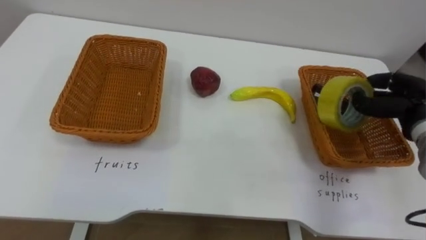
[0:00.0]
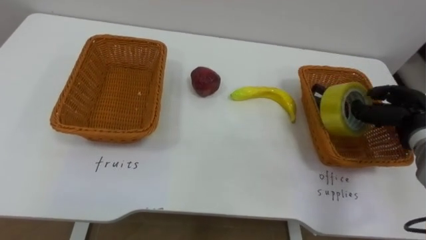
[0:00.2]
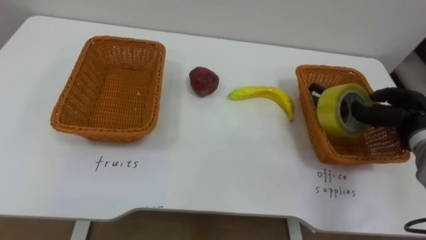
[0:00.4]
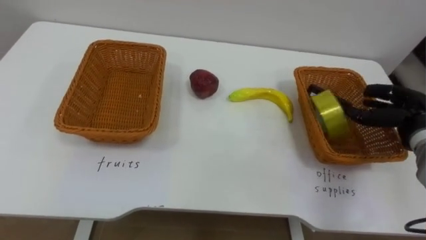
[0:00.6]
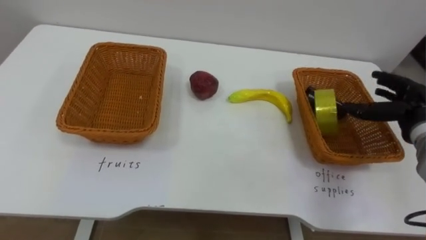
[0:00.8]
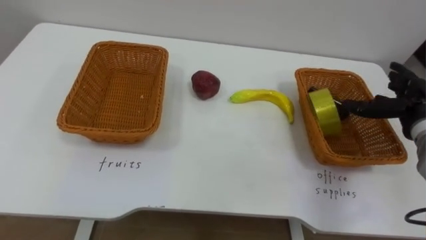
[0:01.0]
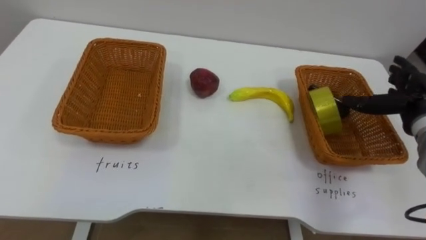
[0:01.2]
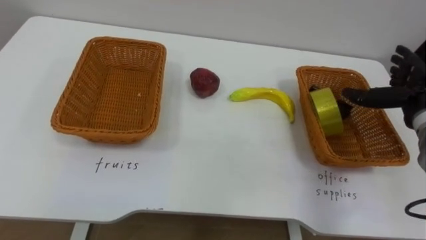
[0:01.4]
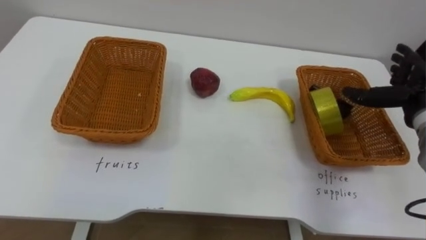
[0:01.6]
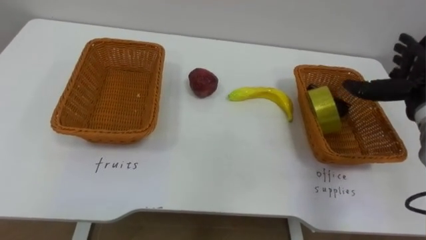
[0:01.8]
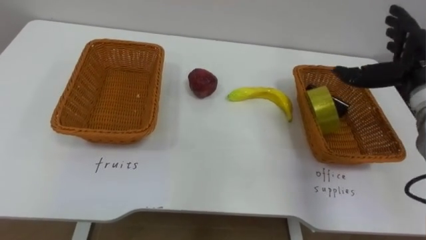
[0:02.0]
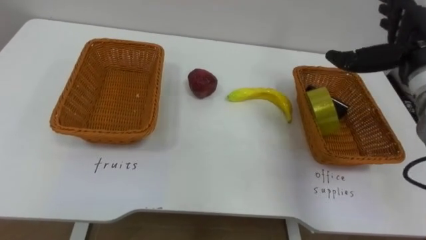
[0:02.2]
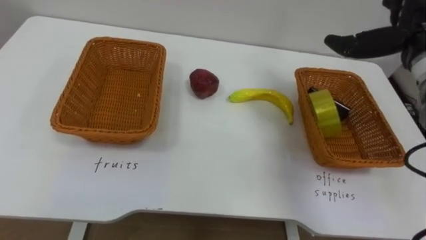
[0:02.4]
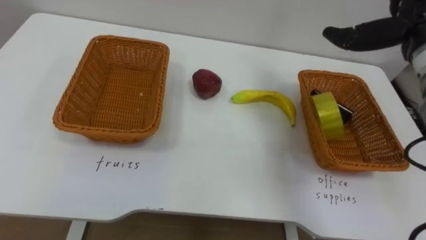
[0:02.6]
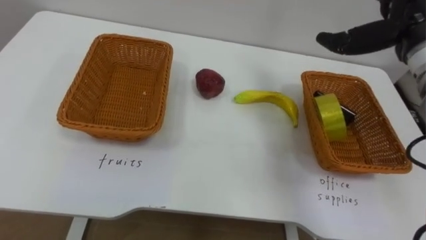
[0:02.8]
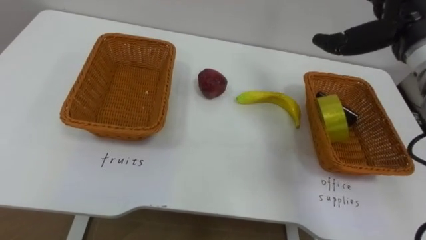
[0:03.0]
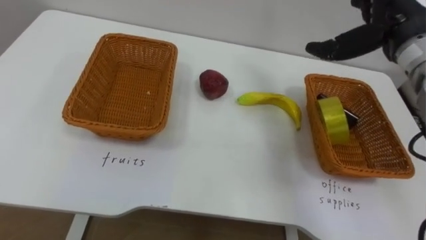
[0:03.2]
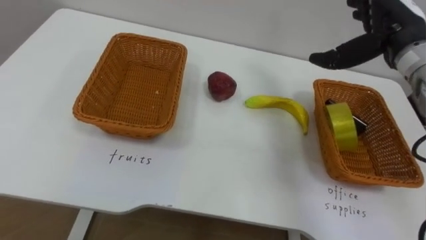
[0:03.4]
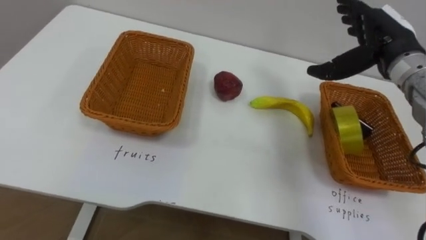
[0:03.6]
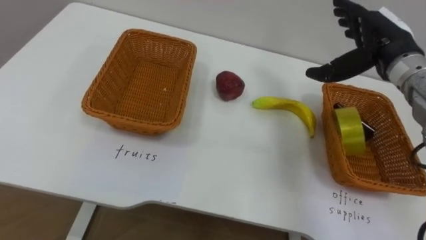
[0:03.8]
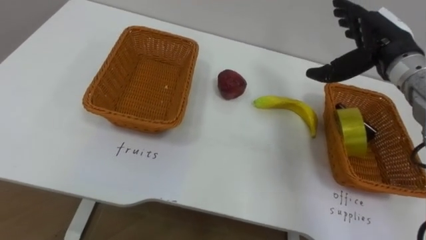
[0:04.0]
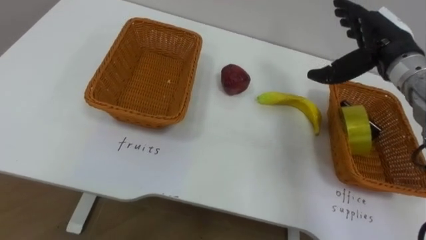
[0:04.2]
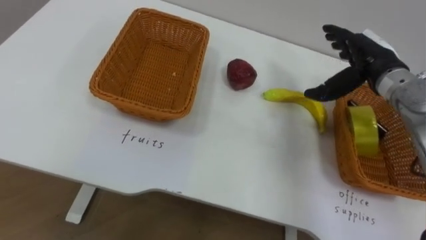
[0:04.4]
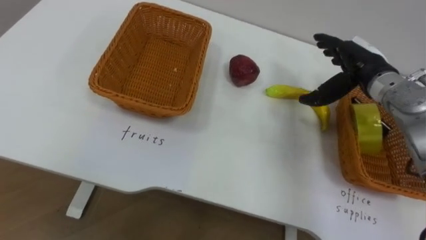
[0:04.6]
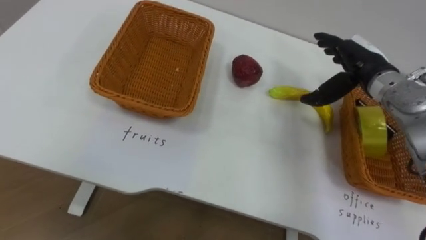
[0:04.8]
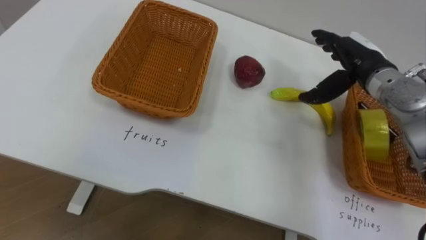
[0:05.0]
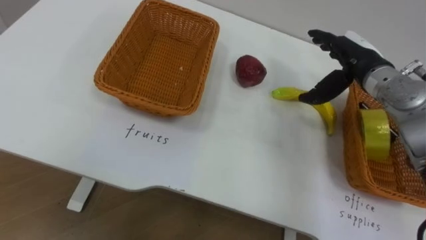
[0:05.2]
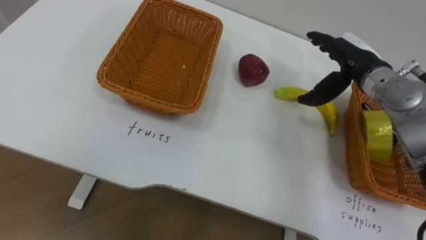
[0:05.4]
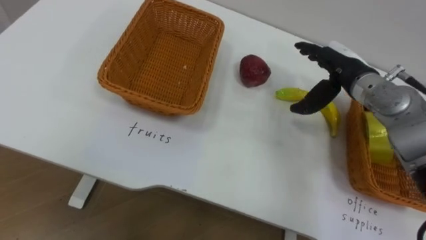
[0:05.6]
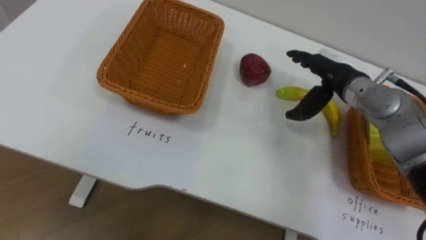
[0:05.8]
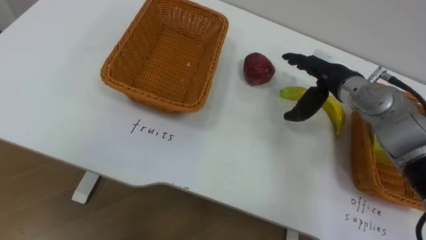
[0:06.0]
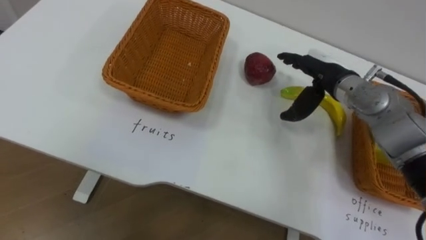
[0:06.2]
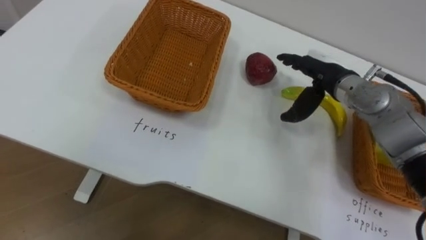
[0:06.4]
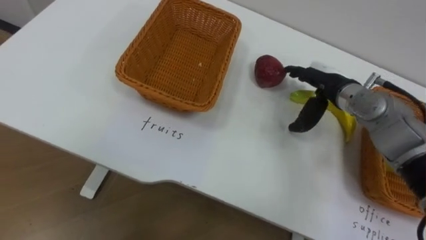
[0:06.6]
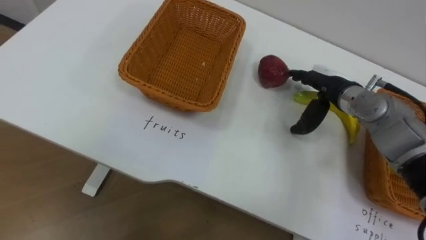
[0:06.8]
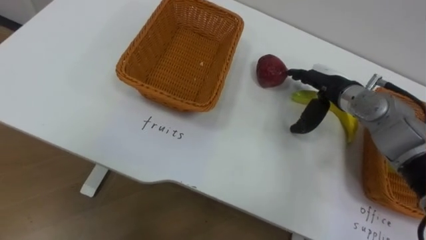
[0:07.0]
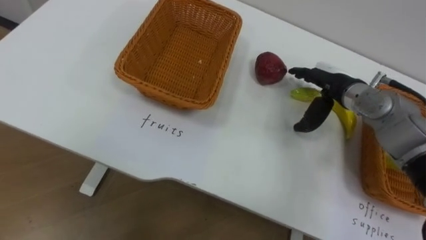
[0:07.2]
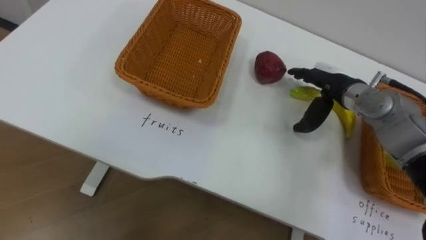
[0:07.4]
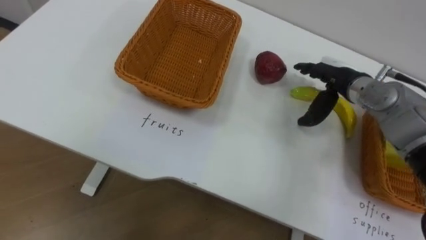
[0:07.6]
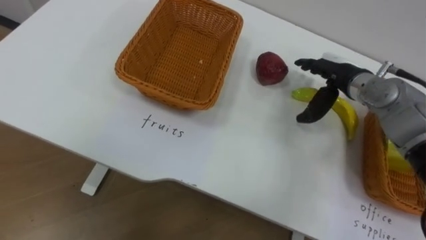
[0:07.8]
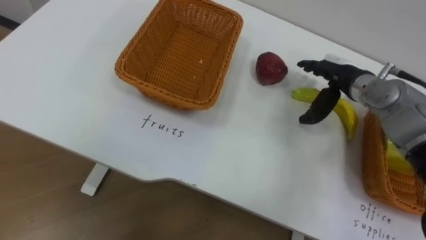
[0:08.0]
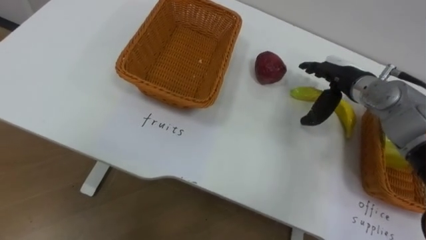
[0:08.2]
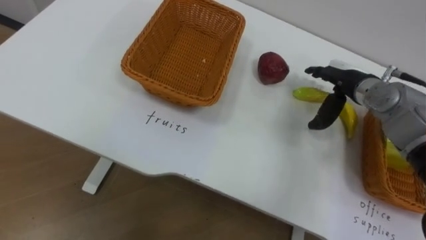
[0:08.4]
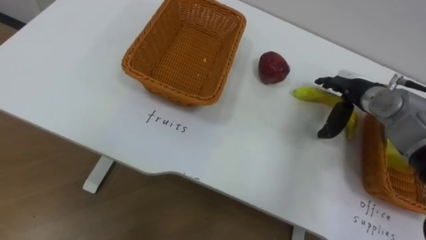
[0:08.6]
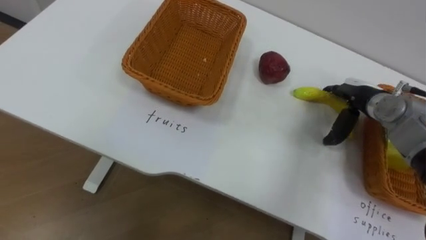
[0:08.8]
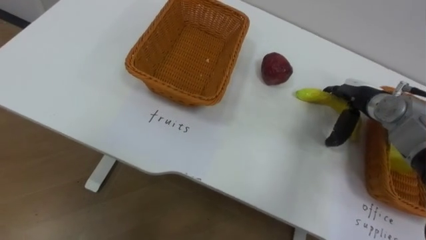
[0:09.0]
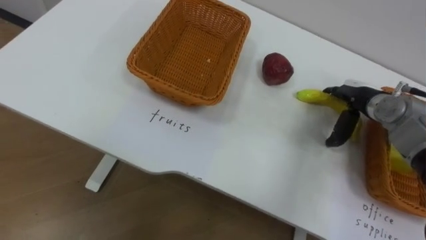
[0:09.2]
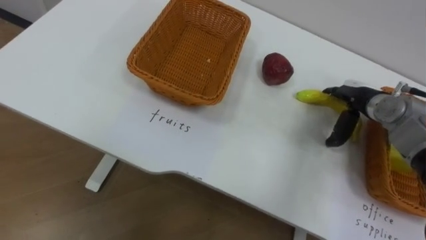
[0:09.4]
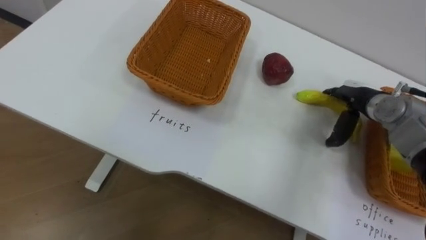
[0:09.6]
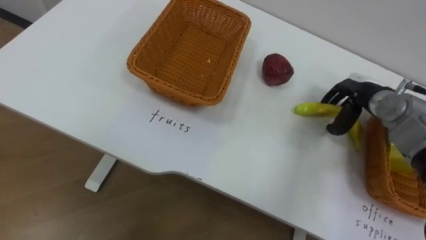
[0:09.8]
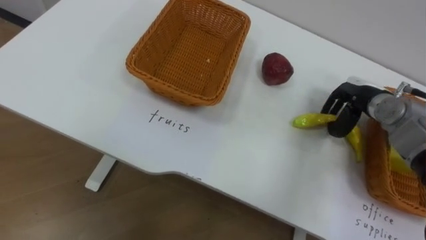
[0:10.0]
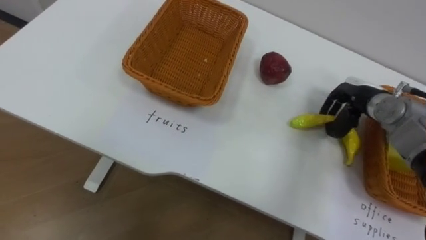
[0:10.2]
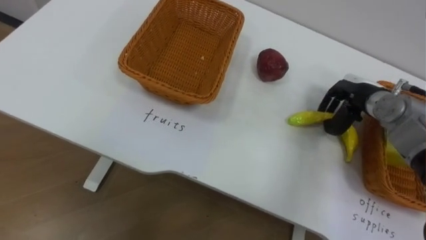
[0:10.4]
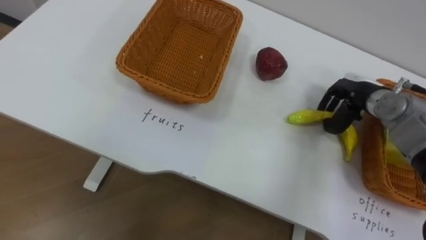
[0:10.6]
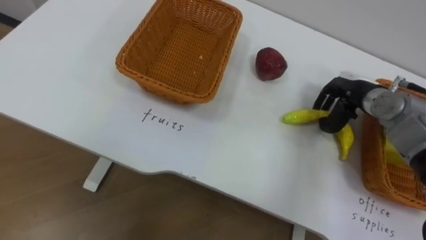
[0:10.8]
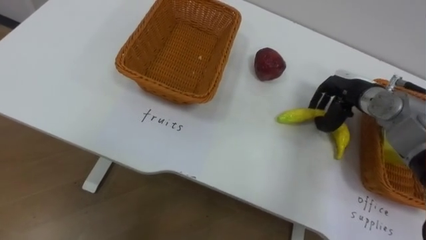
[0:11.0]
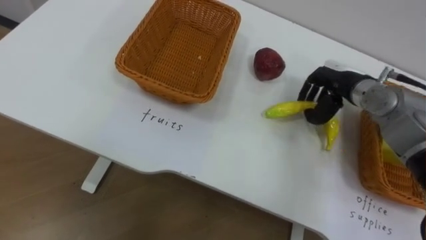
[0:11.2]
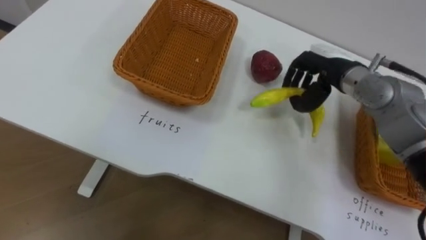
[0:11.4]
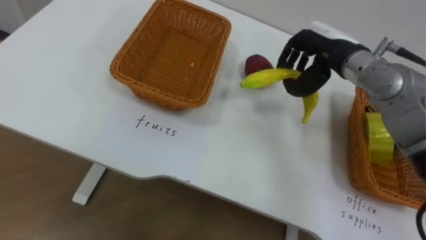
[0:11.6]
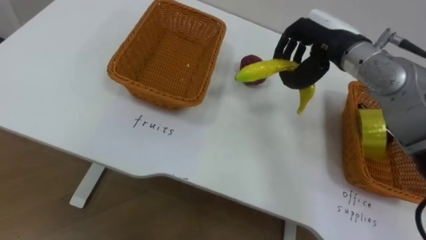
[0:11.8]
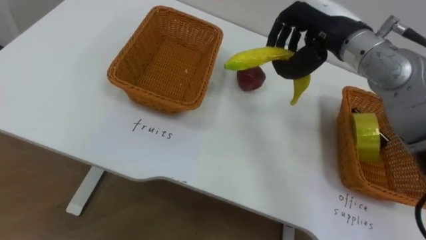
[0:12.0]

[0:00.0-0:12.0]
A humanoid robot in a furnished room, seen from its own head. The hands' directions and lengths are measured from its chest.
Task of the whole recording: Separate the items on the table and place them into the two baskets.
0:00.0 to 0:01.6: The right hand opens up.
0:01.6 to 0:03.0: The right hand moves upward and to the left, some 15 cm.
0:03.0 to 0:04.4: The right hand is displaced downward by roughly 10 cm.
0:04.4 to 0:06.0: The right hand travels to the left by approximately 5 cm.
0:07.6 to 0:09.0: The right hand shifts roughly 5 cm to the right.
0:09.0 to 0:10.4: The right hand closes its fingers.
0:10.4 to 0:12.0: The right hand moves upward and to the left, some 20 cm.

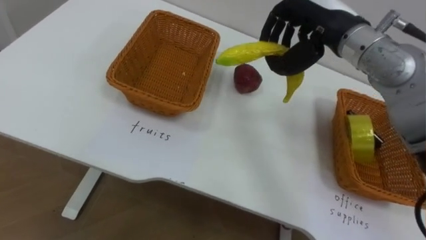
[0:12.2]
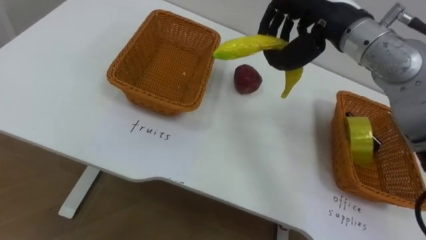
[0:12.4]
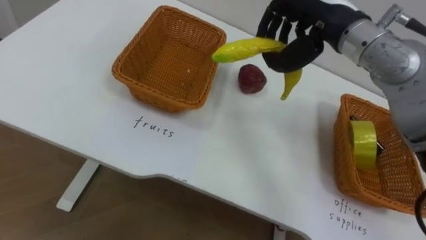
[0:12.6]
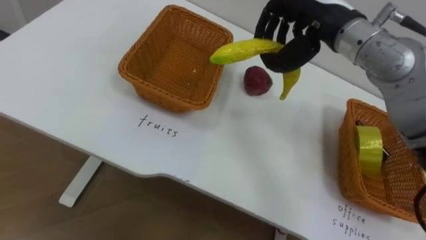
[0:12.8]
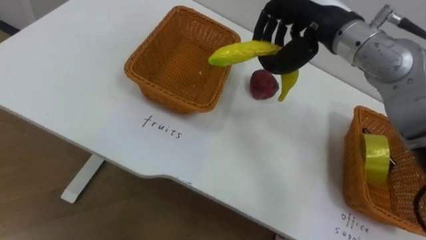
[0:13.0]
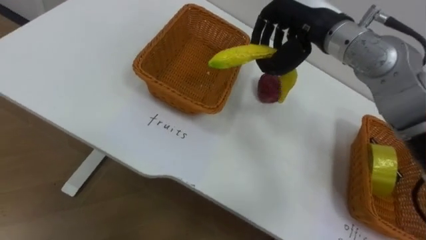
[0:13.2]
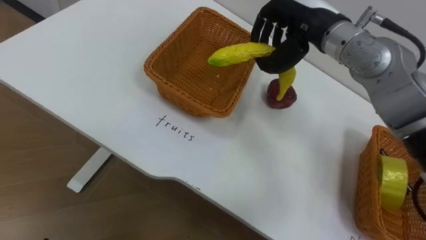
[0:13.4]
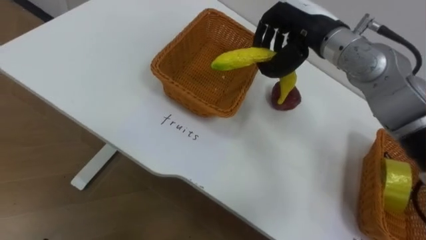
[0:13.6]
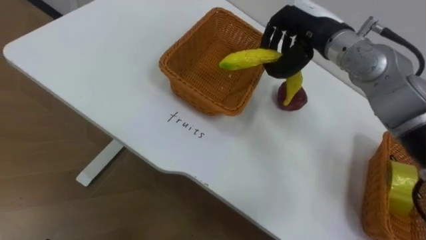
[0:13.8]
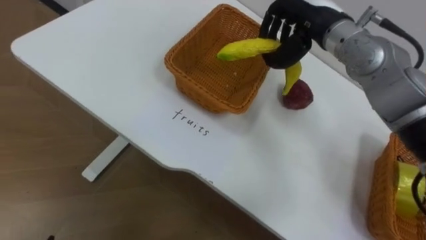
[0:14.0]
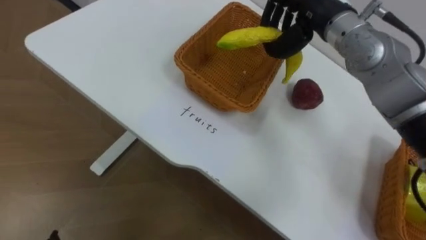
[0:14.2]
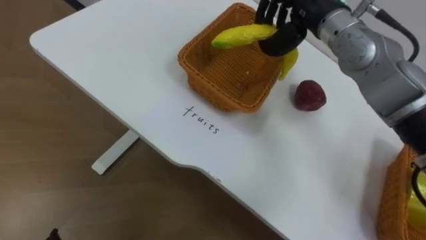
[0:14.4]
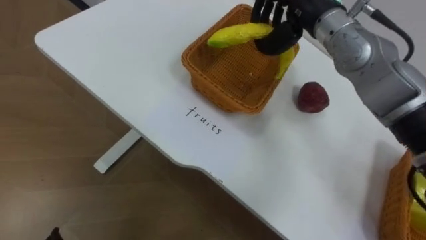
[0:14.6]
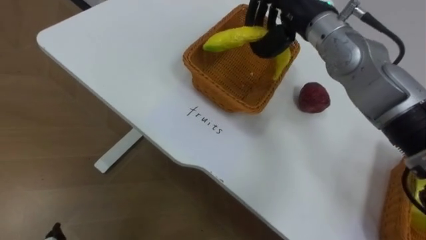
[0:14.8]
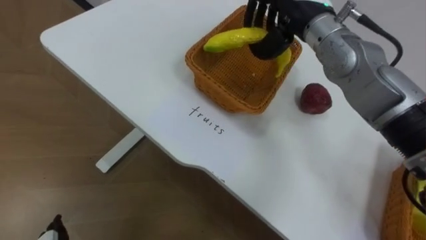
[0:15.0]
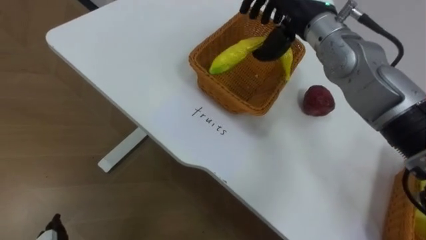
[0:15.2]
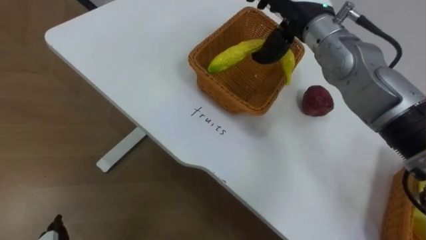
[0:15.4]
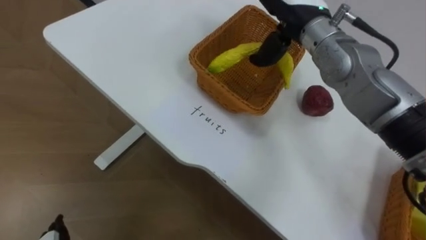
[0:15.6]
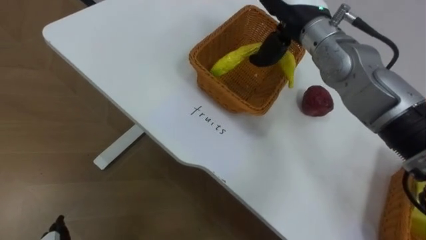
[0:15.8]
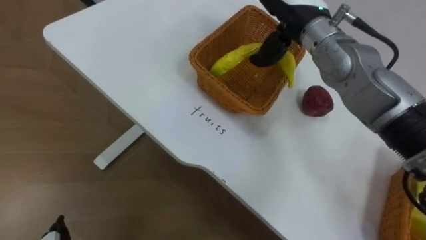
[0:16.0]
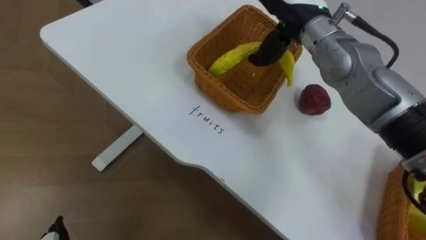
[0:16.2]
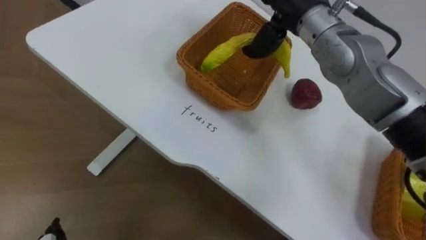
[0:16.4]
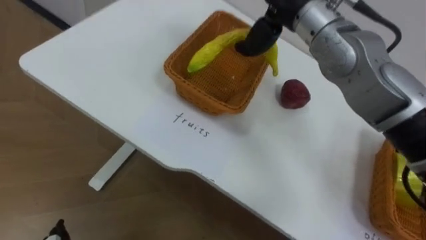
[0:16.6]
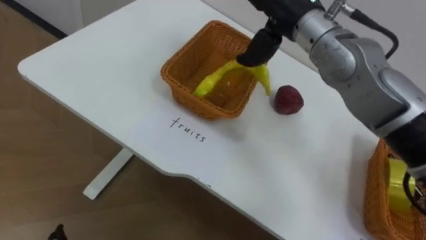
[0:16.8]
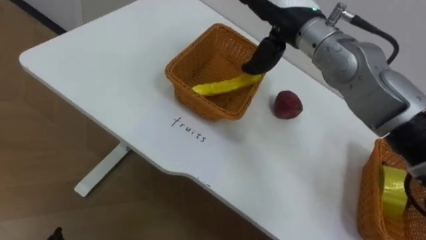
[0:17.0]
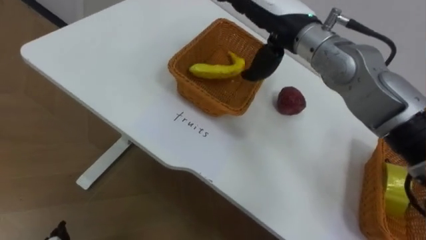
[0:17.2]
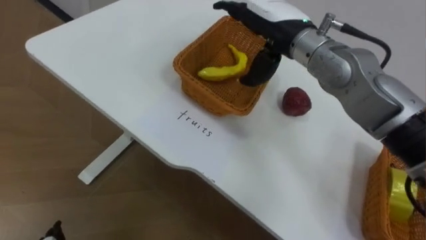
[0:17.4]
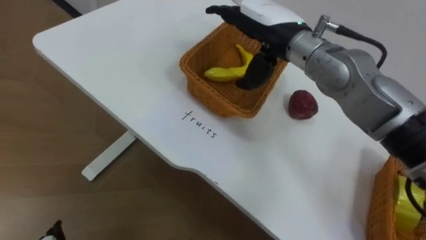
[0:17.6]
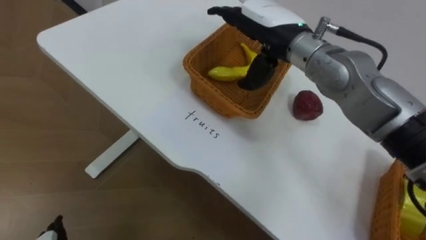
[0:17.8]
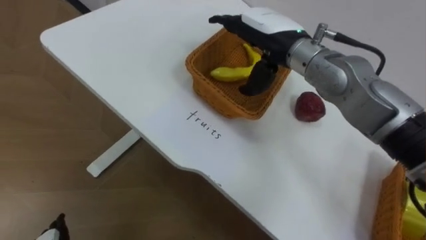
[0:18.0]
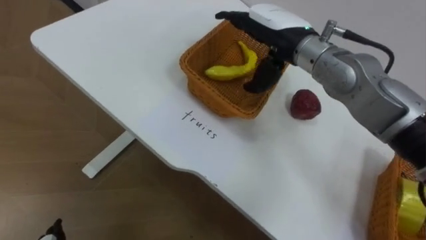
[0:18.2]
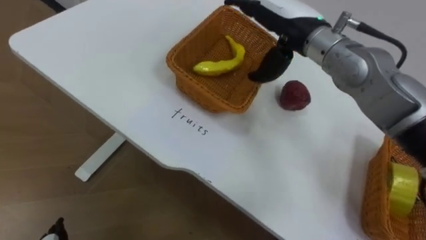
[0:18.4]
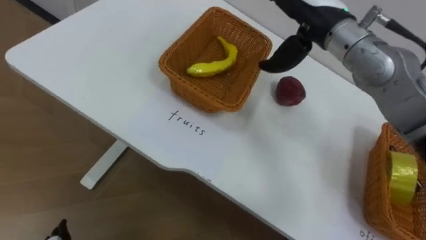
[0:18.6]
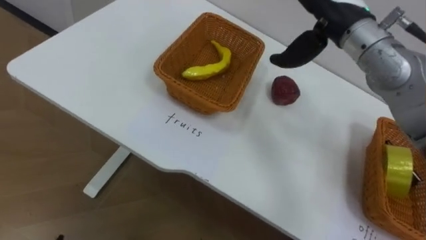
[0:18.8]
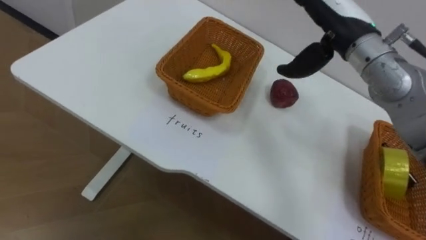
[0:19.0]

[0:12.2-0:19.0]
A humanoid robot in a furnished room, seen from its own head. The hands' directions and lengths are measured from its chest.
Task of the whole recording: Separate the items on the table and place them into the two baskets.
0:17.6 to 0:19.0: The right hand is displaced to the right by approximately 10 cm.
